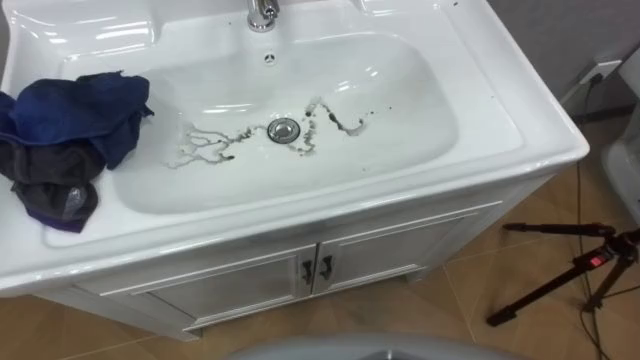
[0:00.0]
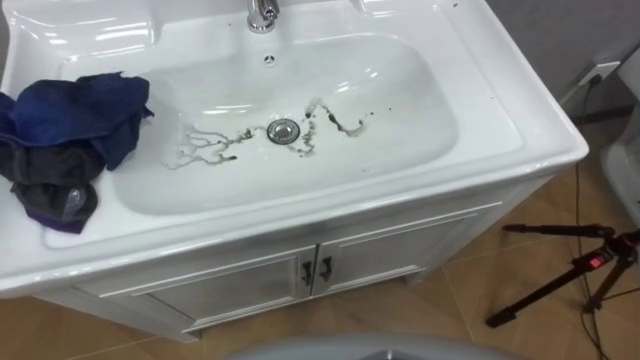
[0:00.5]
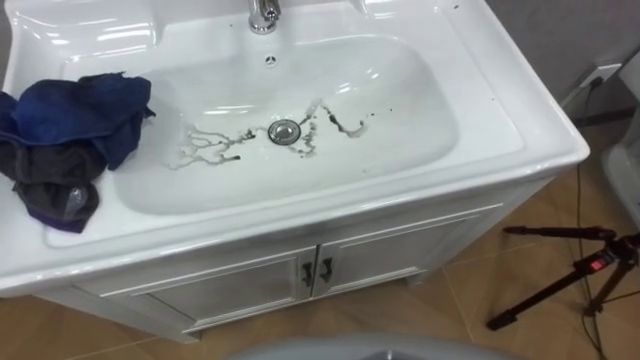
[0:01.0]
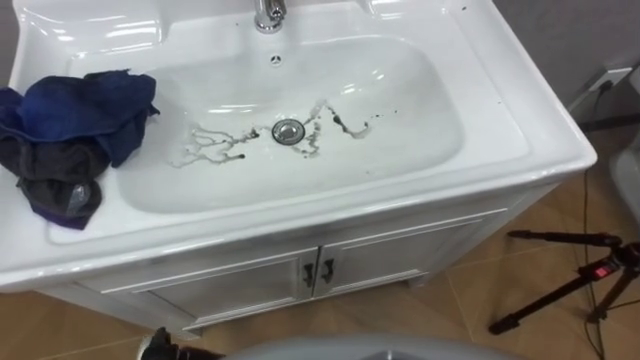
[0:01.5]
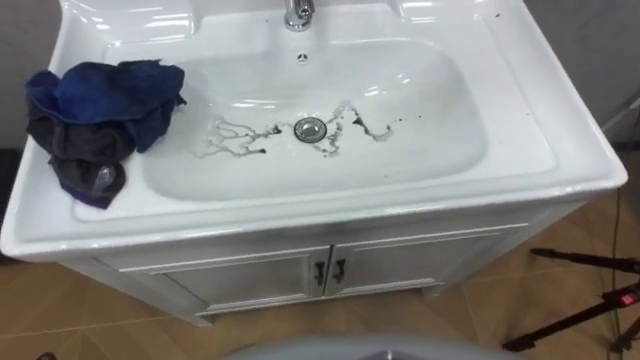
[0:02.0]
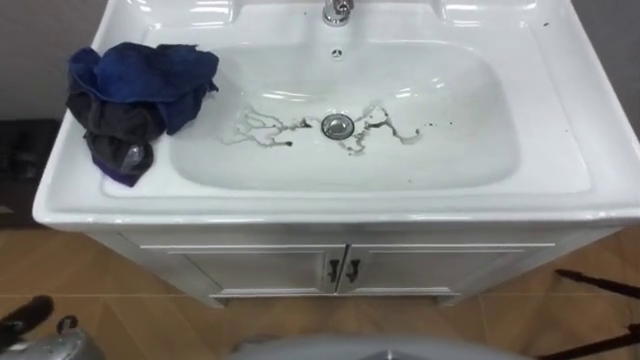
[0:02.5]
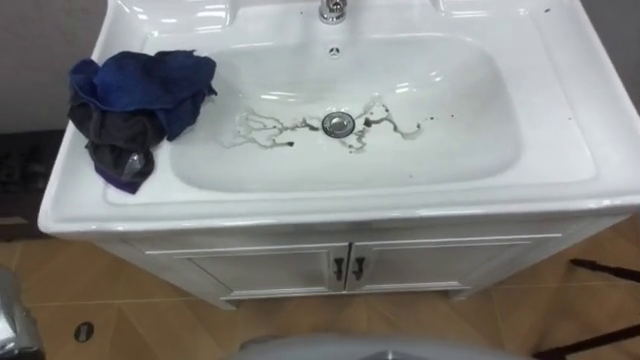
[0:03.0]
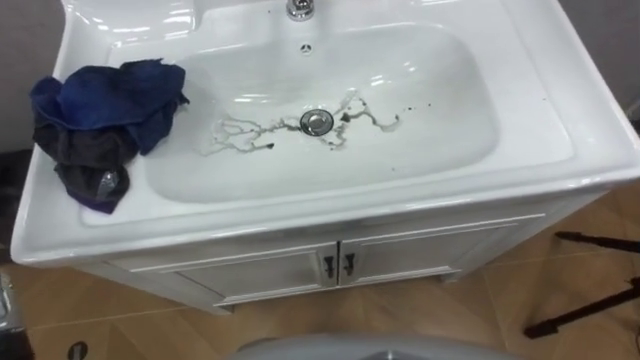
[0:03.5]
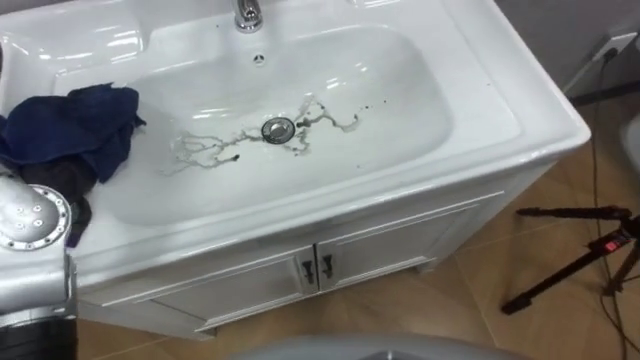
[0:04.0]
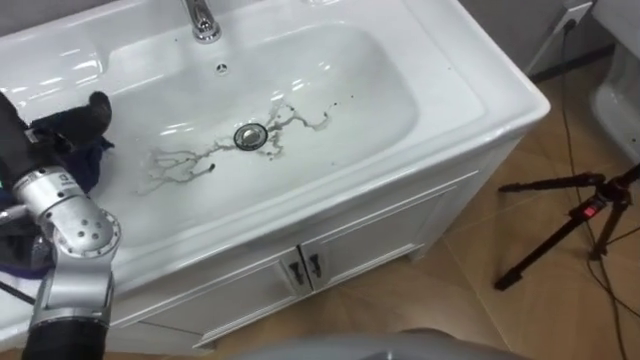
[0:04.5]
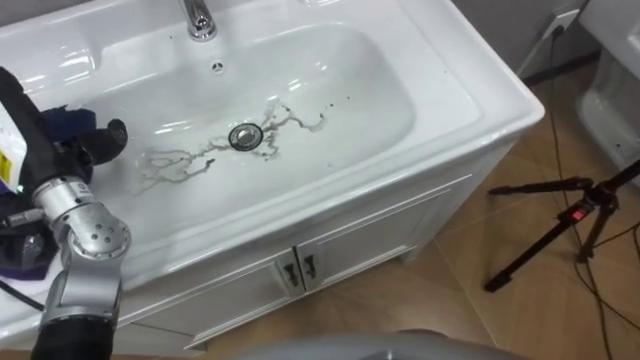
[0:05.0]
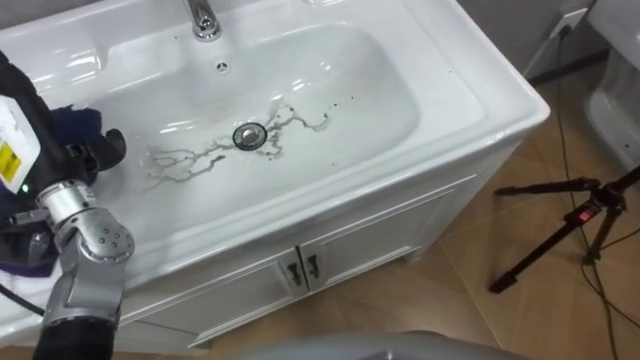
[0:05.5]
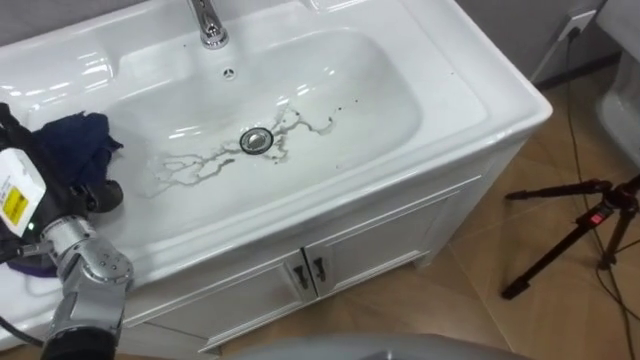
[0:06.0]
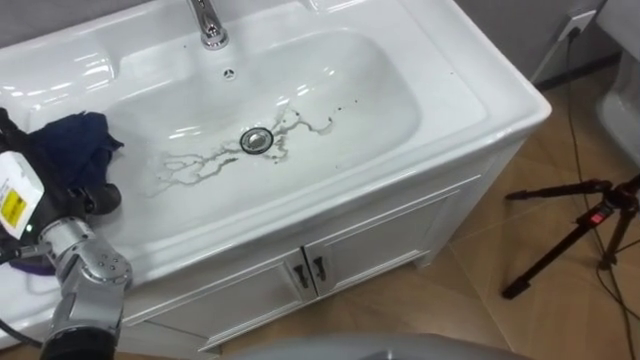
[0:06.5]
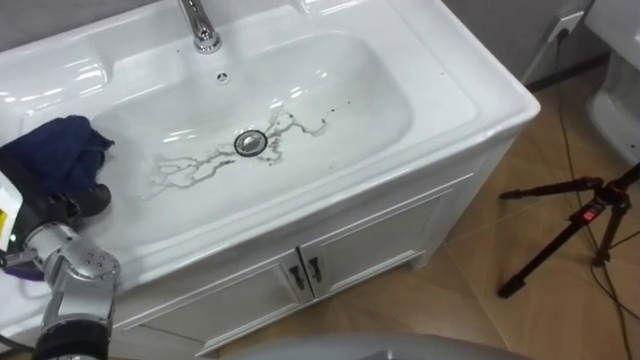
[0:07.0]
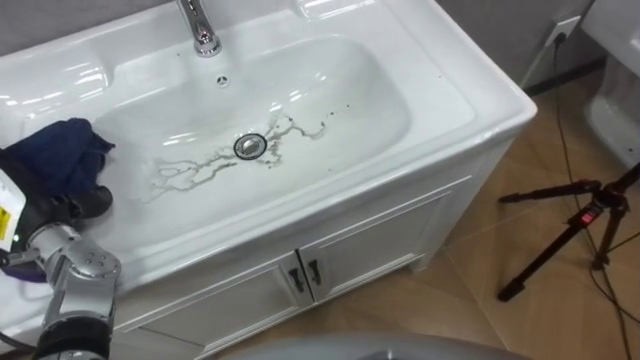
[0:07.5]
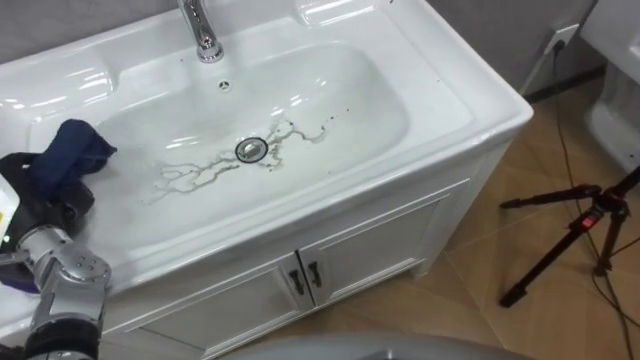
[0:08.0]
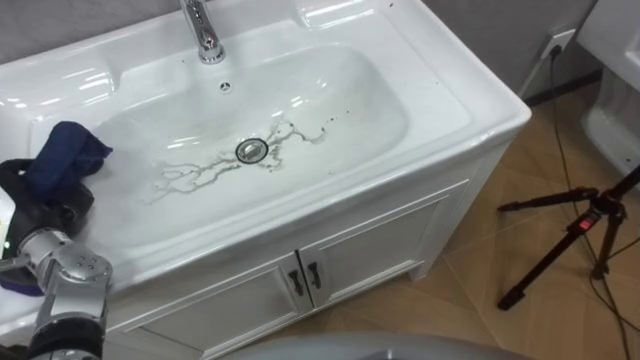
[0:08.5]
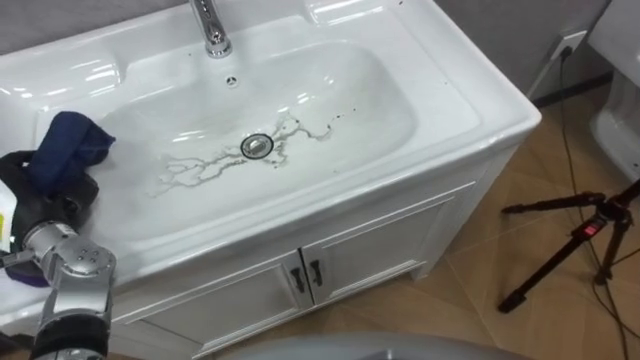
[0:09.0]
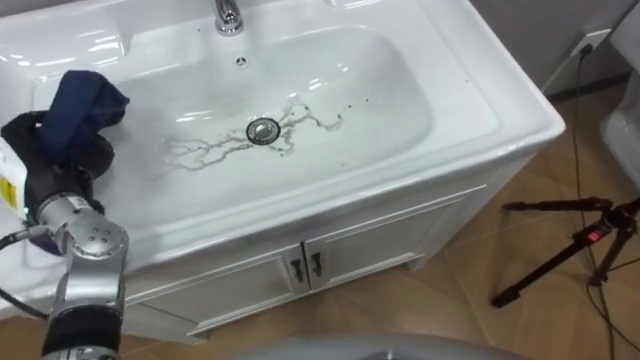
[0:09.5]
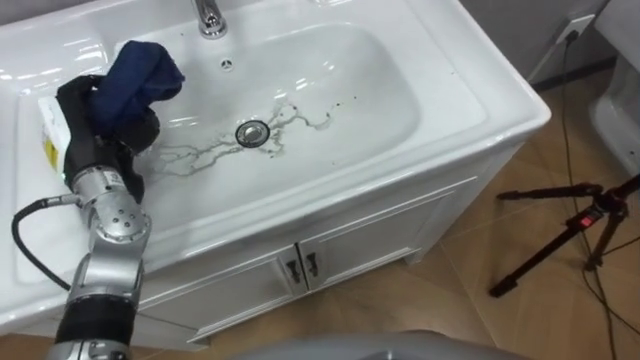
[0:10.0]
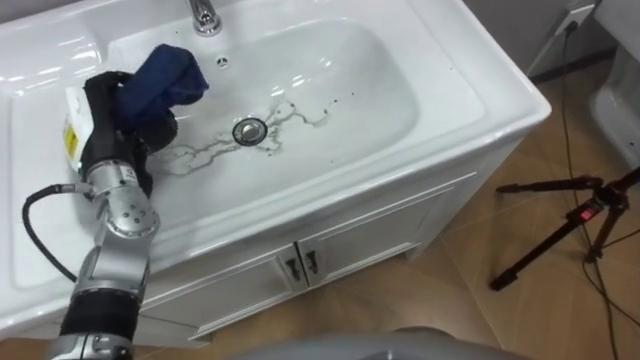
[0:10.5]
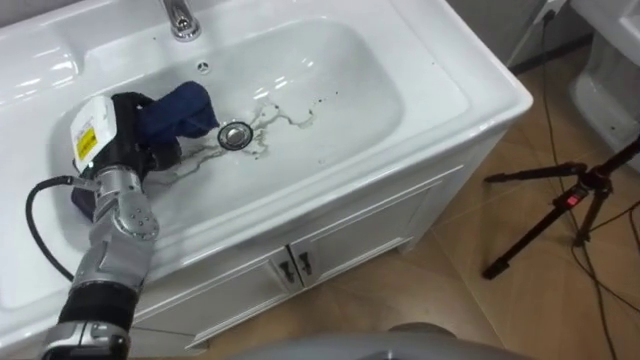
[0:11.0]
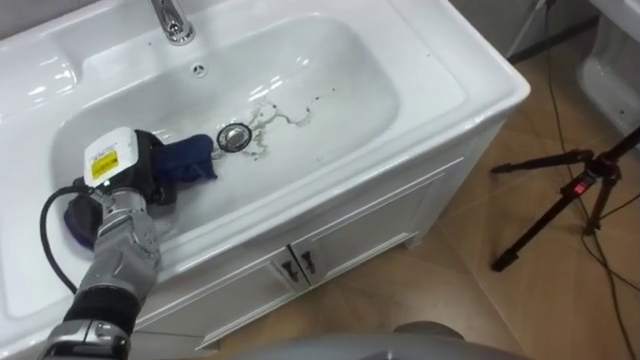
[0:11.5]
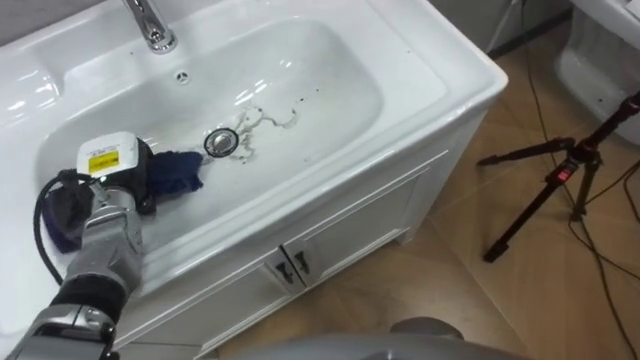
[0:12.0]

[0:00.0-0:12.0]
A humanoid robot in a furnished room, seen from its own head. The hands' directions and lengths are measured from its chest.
Task of the whole recording: Use the cloth on the right to wipe away the black stain in the sink.
0:06.0 to 0:08.0: The left hand closes up.
0:08.0 to 0:10.0: The left hand heads to the right, forward and upward, covering some 15 cm.
0:10.0 to 0:12.0: The left hand shifts roughly 10 cm downward.

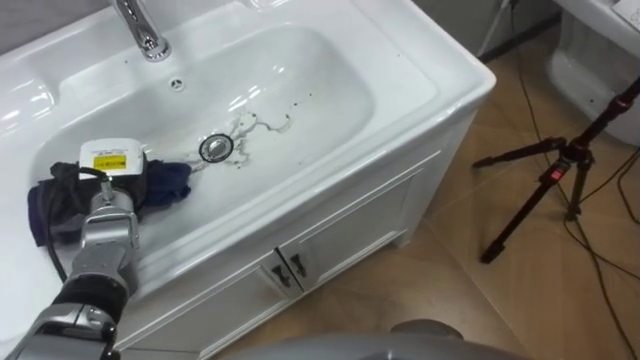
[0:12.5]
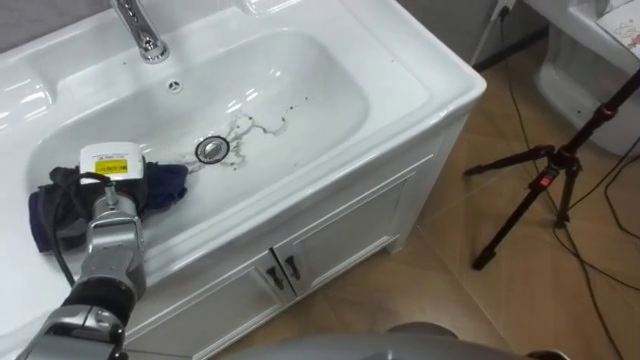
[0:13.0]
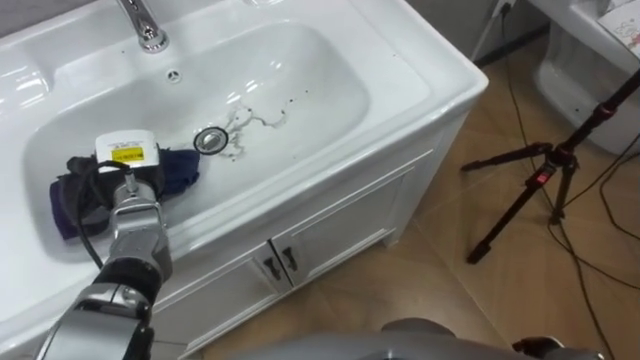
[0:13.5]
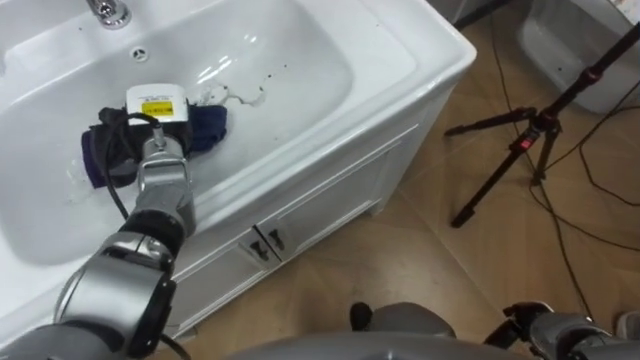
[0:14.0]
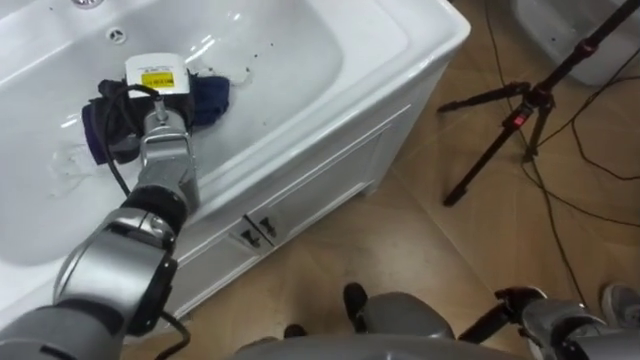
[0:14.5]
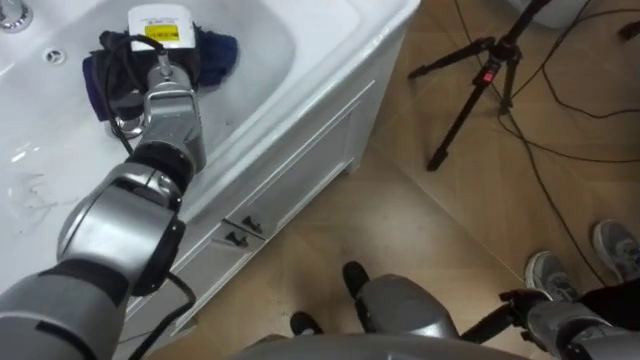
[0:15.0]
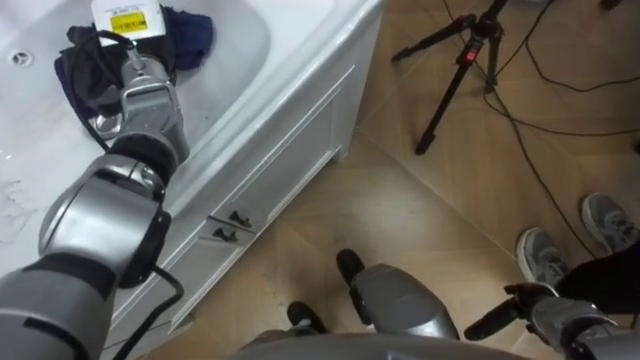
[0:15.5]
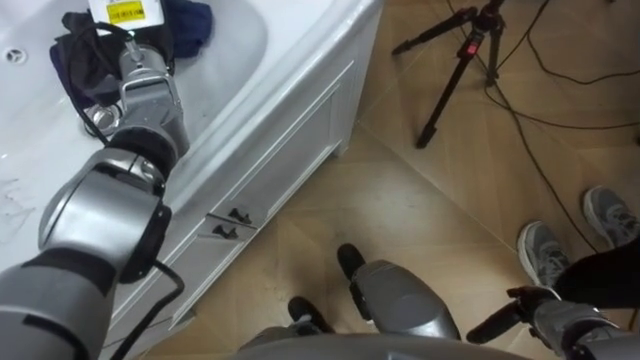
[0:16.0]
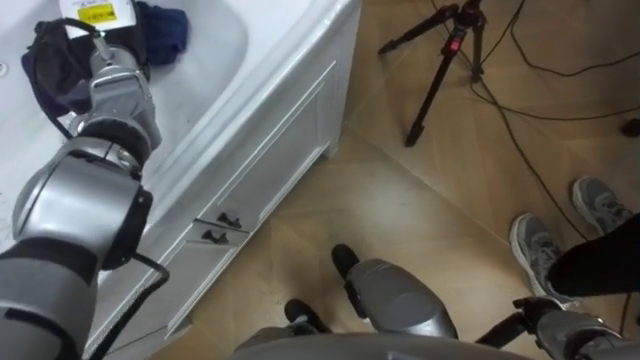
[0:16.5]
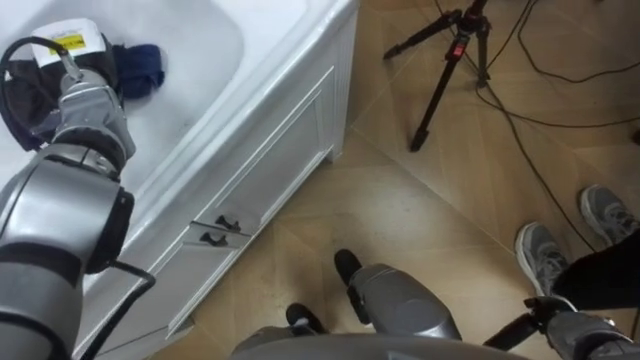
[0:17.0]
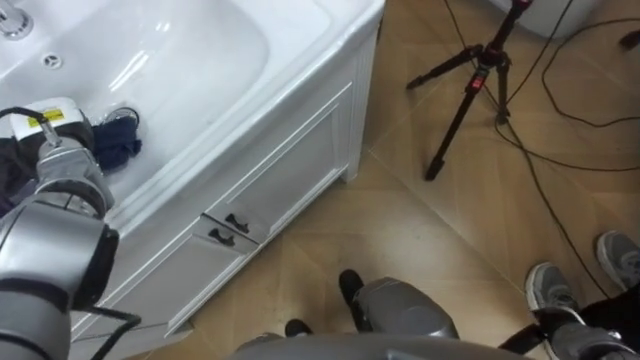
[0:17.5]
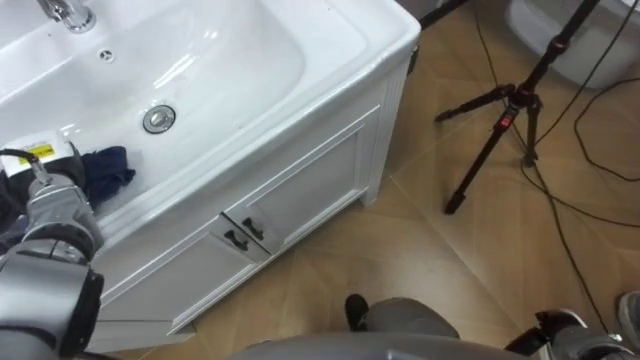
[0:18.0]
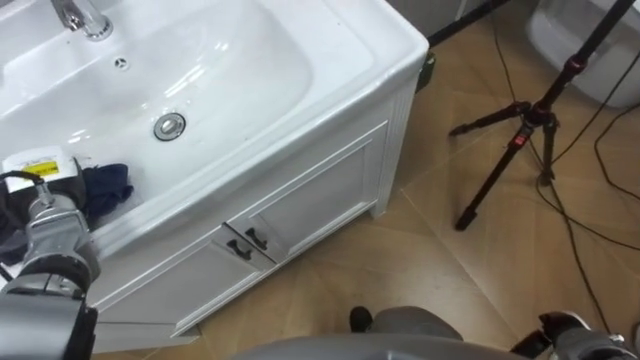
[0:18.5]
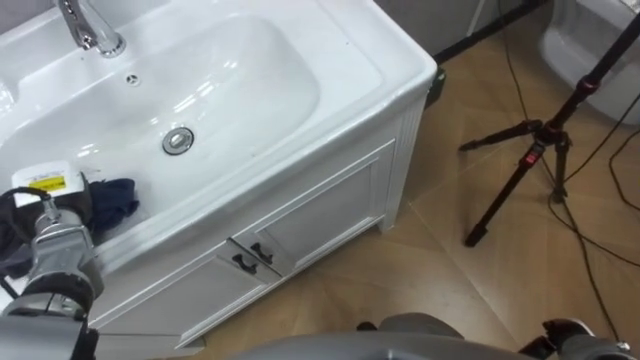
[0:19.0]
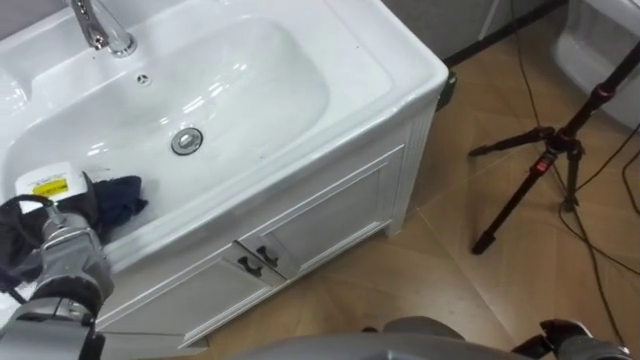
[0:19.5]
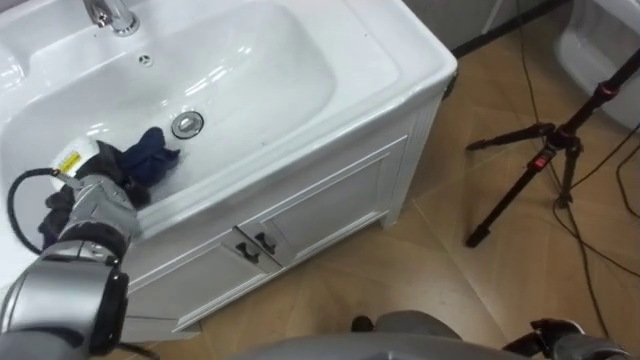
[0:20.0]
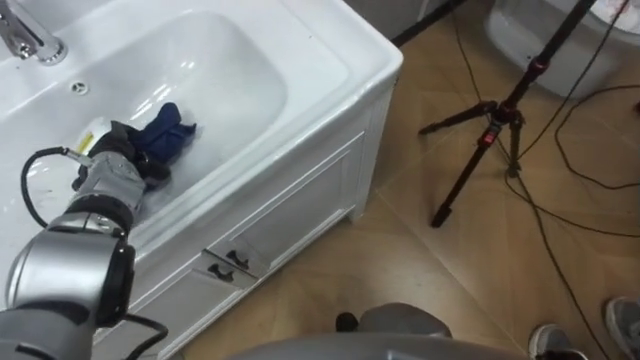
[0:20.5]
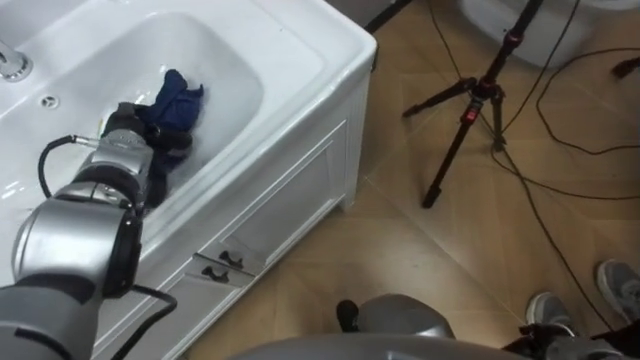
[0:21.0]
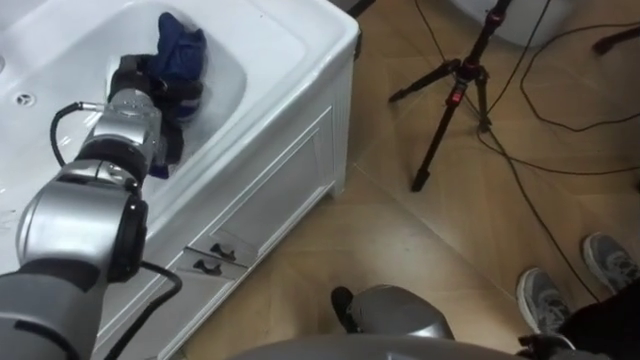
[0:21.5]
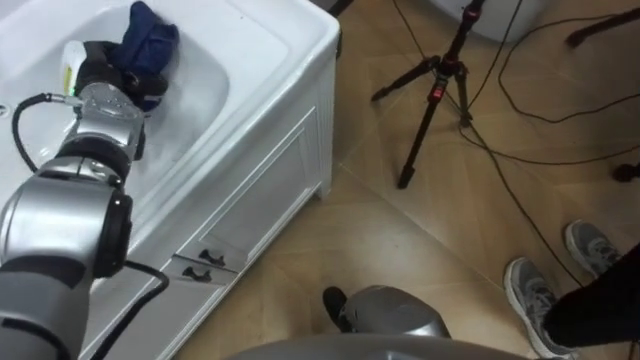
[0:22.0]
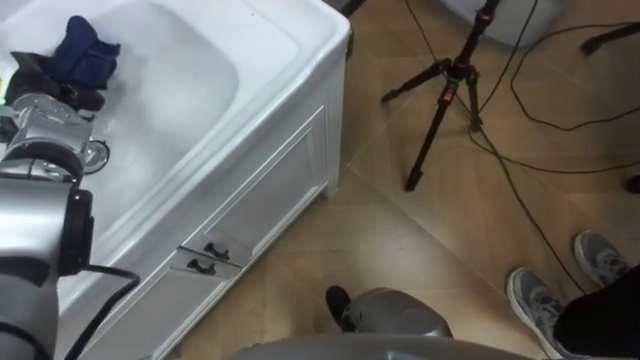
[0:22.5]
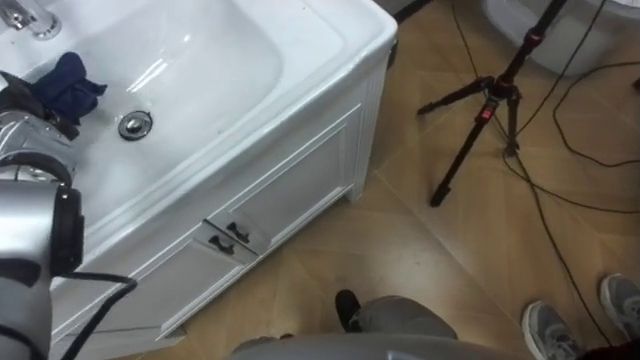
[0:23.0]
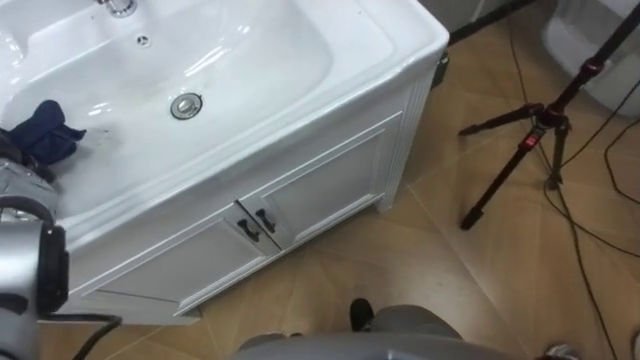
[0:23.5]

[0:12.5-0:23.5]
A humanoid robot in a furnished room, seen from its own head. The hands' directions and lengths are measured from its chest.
Task of the whole recording: Use the cloth on the right to wipe away the black stain in the sink.
0:12.5 to 0:14.5: The left hand is displaced forward, to the right and upward by about 15 cm.
0:14.5 to 0:16.0: The left hand shifts about 10 cm upward.
0:16.0 to 0:18.0: The left hand heads to the left, backward and downward, covering some 25 cm.
0:20.0 to 0:21.5: The left hand is displaced forward, to the right and upward by roughly 15 cm.
